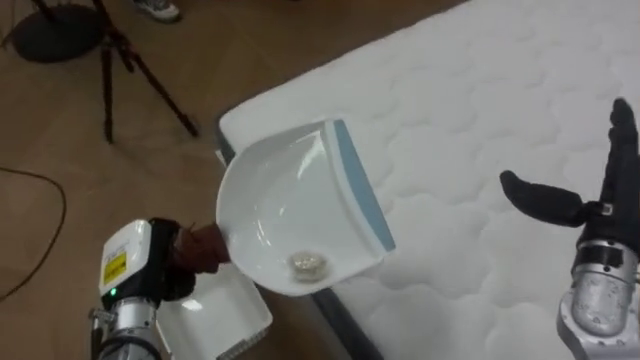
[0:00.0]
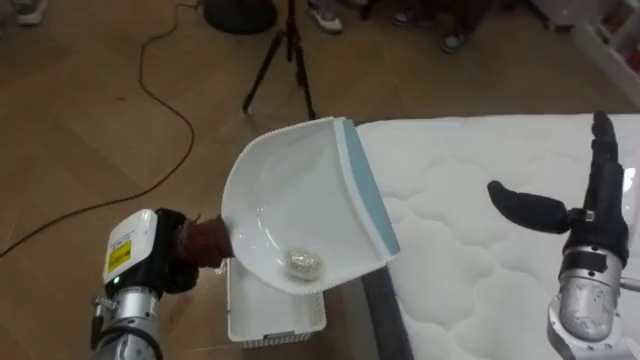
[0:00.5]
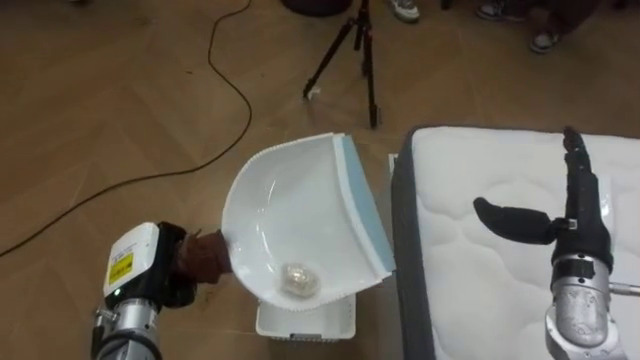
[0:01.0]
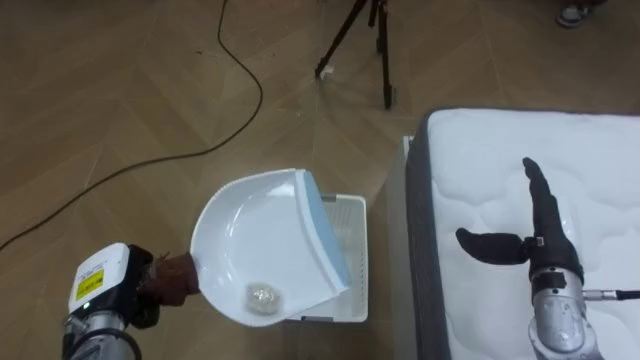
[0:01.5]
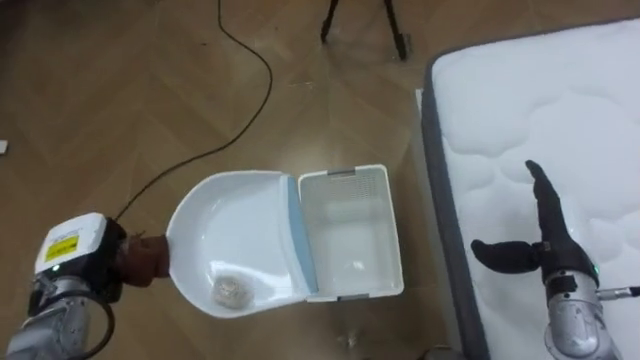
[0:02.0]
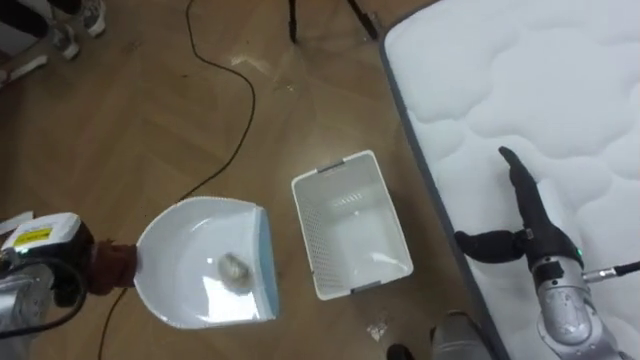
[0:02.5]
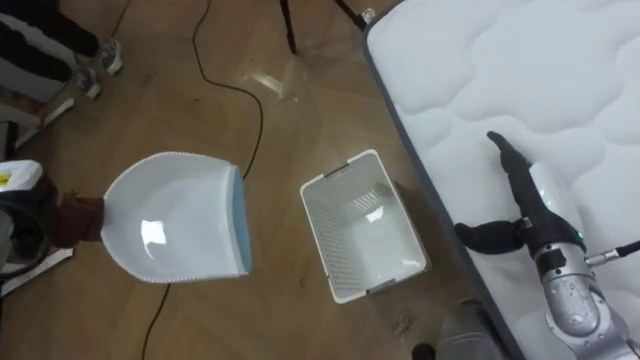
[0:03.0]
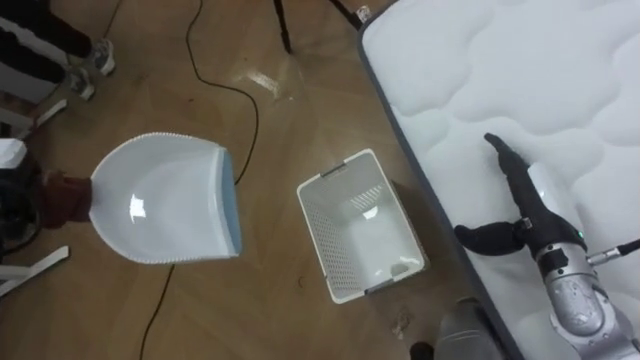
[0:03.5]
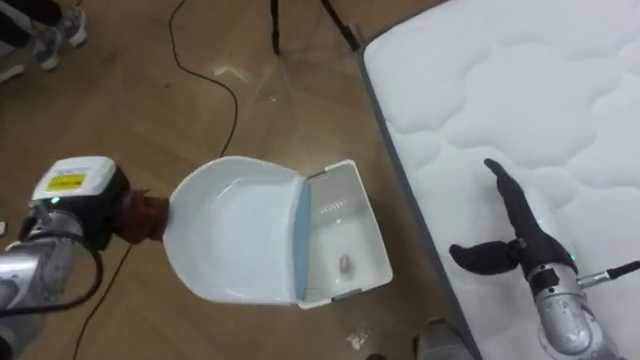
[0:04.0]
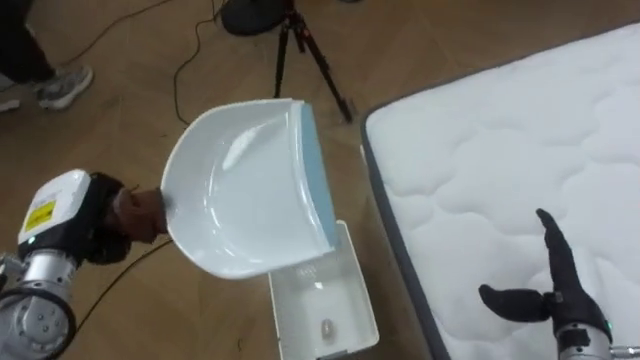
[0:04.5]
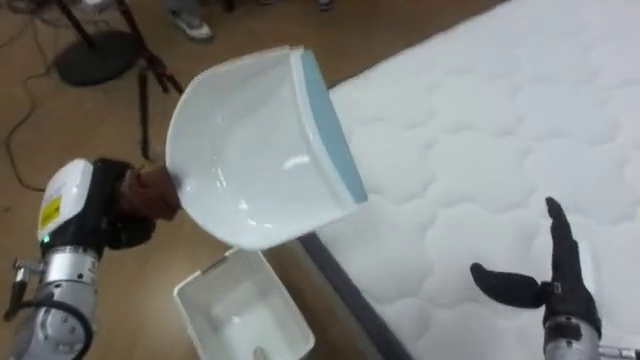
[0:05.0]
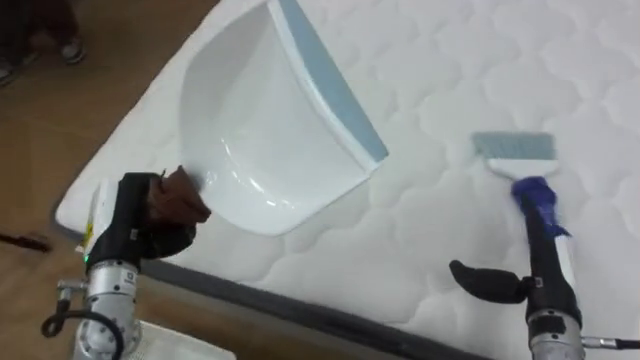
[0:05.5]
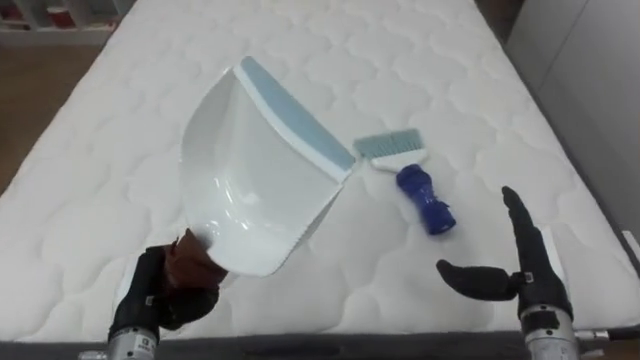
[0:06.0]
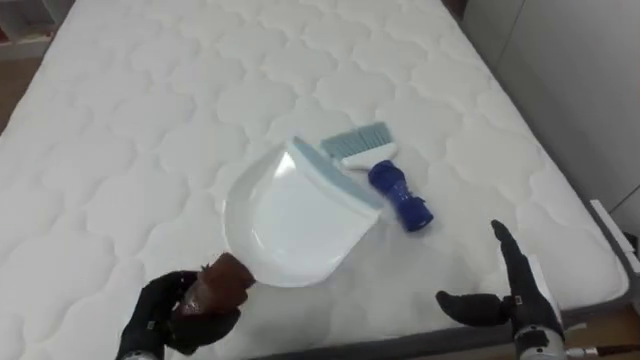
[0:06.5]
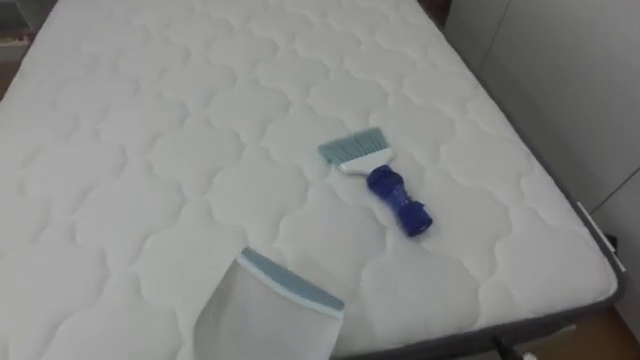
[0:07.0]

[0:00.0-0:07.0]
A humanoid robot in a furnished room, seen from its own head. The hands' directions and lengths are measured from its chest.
Task of the whole recording: Pick up the brush on your right and the dustpan on your left. Use the brush to sweep the crumpled paper on the bed into the dustpan, then turn left and empty it into the basket.
0:00.0 to 0:02.0: The robot faces approximately 40 degrees further to its left. The left hand shifts roughly 10 cm to the left. Meanwhile the right hand travels downward by roughly 10 cm.
0:03.5 to 0:05.0: The robot rotates approximately 35 degrees to its right. The right hand is displaced backward by approximately 10 cm.
0:05.0 to 0:07.0: The robot's body swings some 70 degrees to its right.

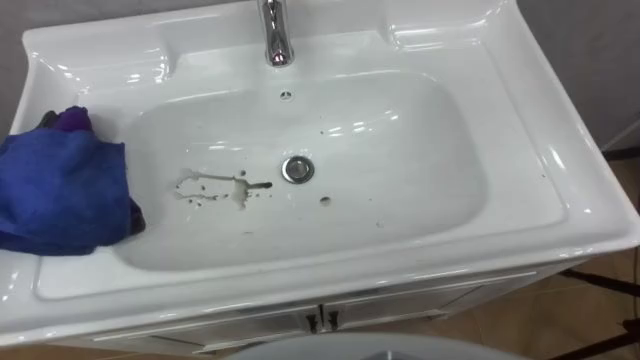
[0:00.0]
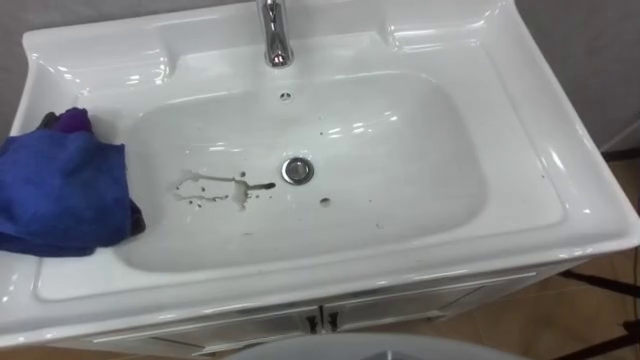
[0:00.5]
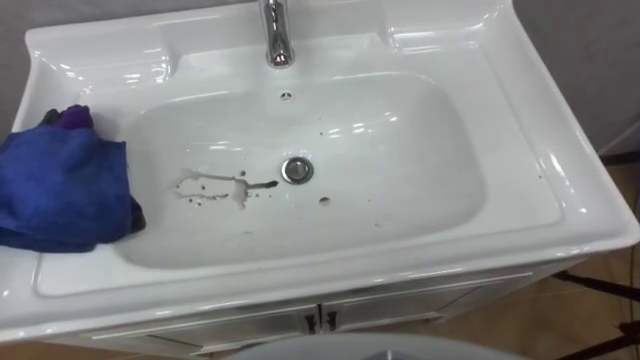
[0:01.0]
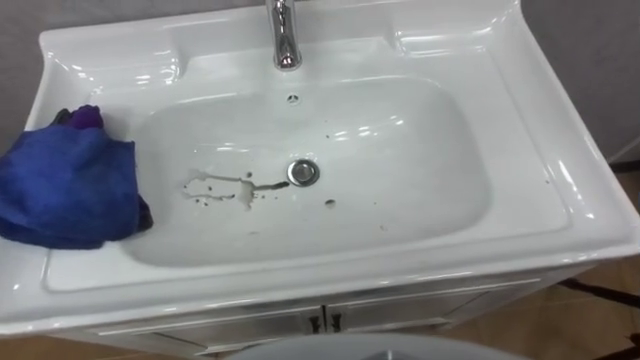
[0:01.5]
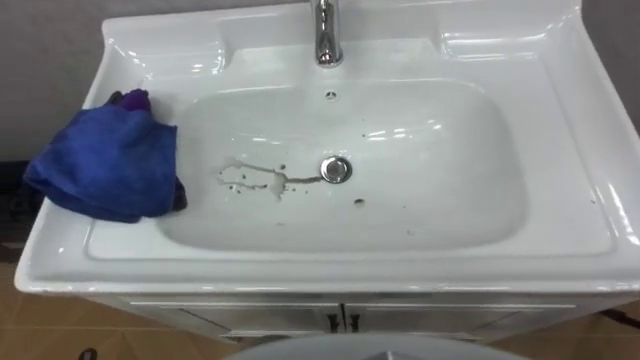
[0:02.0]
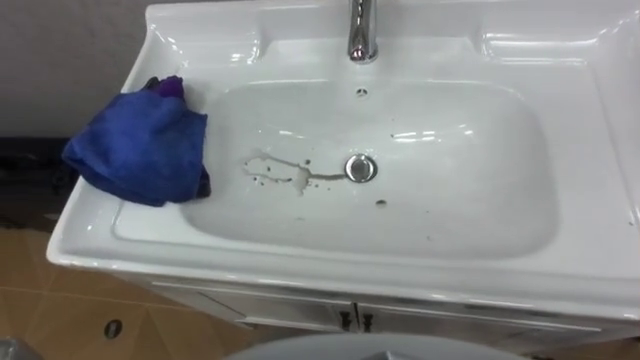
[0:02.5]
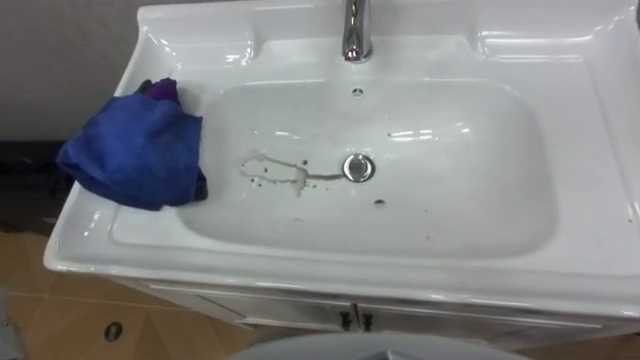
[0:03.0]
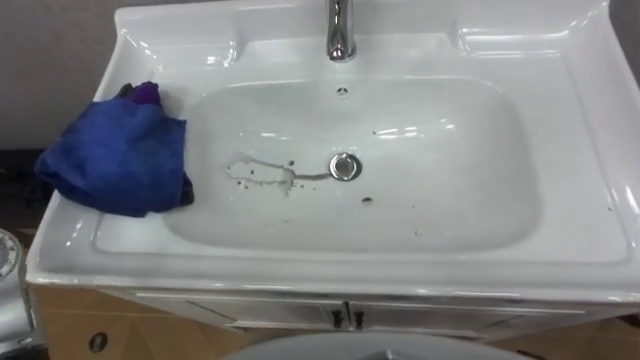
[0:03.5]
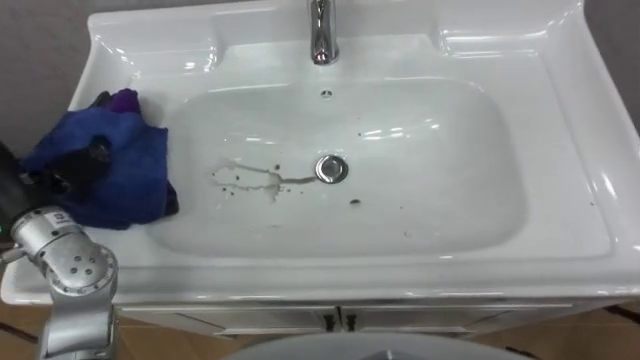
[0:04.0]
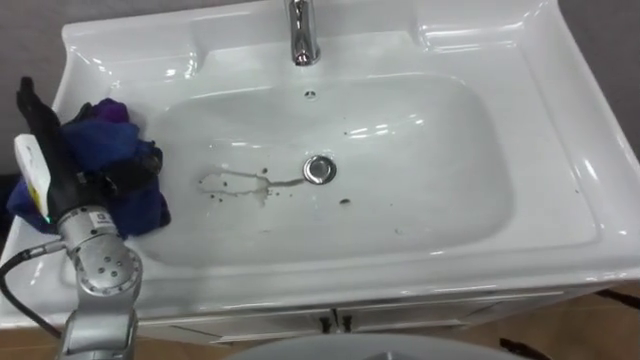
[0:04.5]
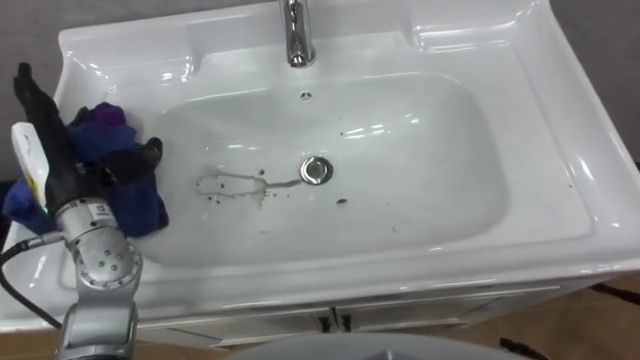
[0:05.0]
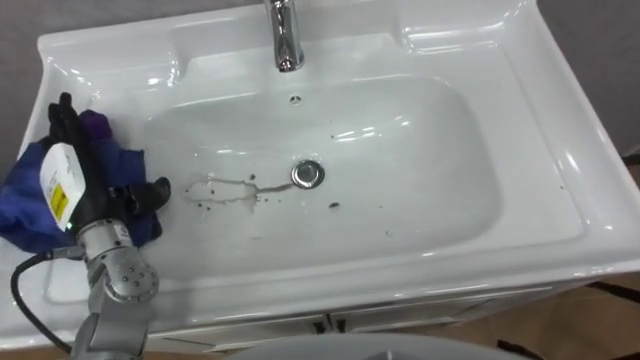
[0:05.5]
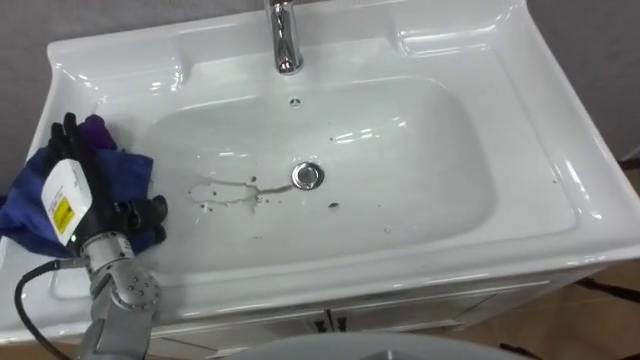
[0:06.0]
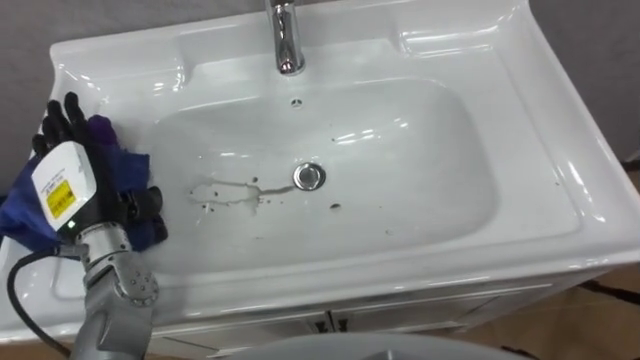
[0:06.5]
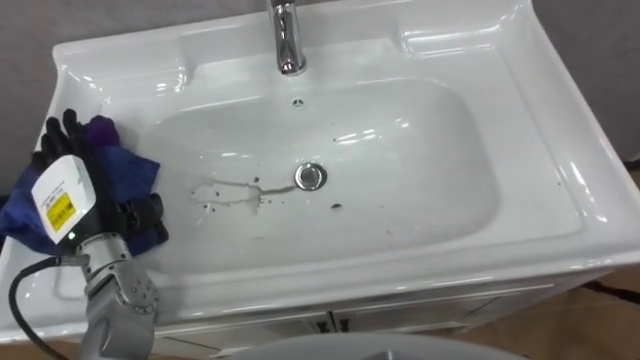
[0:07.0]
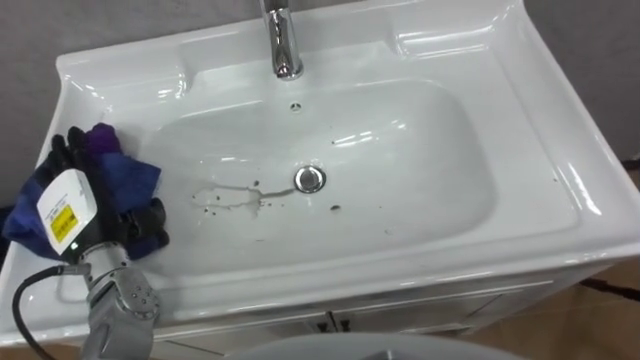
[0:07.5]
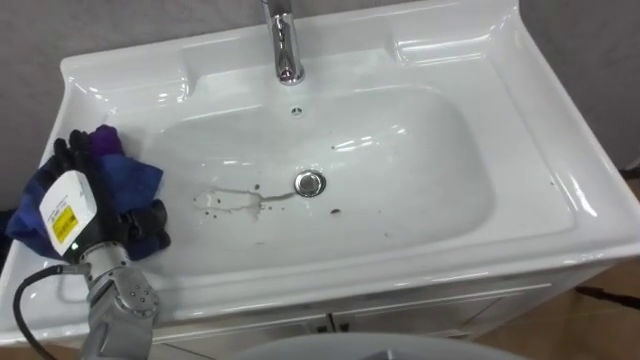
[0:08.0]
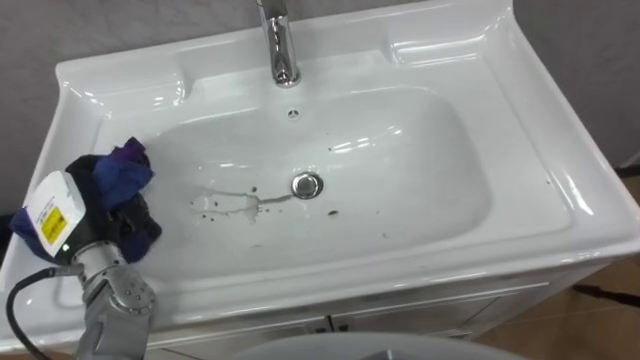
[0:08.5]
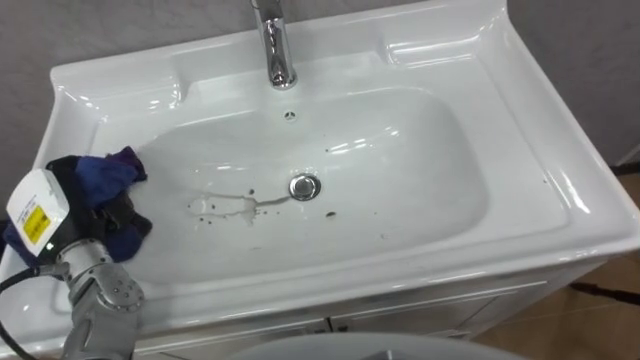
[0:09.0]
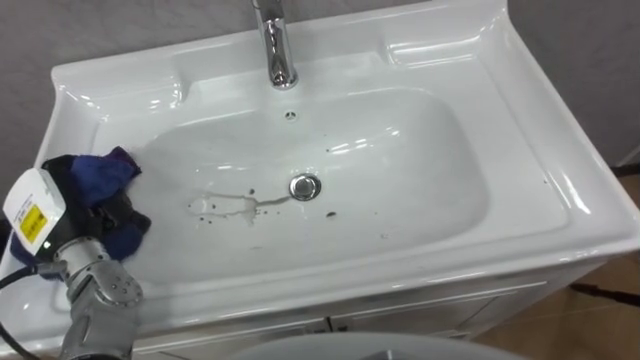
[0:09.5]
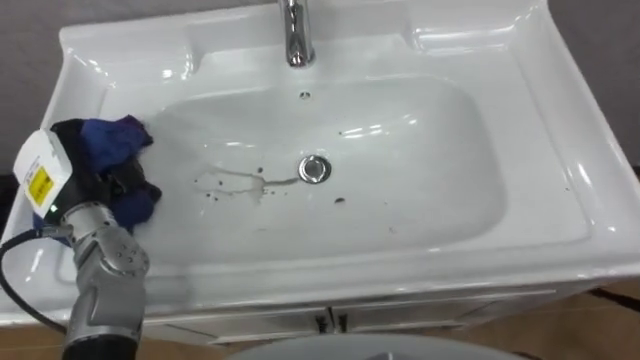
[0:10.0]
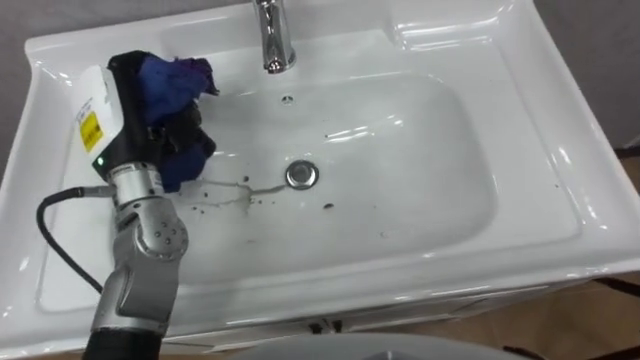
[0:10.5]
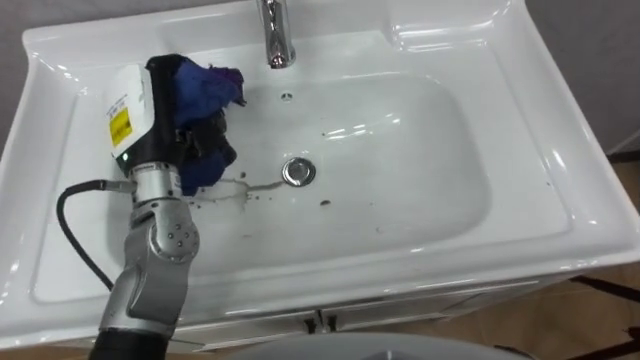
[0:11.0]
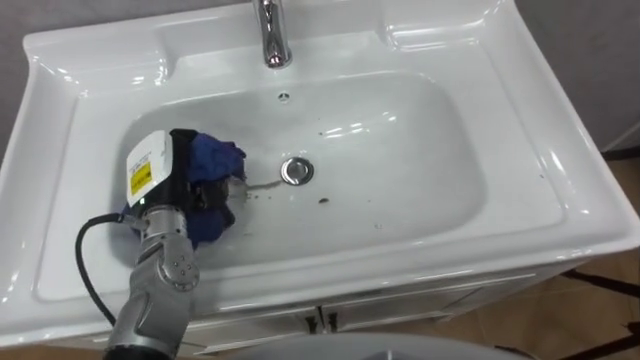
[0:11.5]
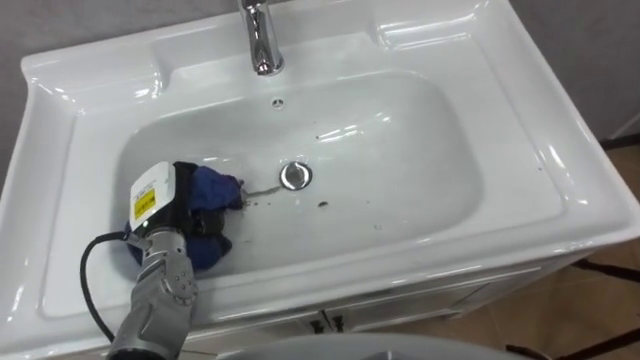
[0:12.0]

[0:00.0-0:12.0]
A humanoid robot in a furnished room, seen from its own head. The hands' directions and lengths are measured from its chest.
Task of the whole recording: Use the cloth on the right to wipe away the black stain in the sink.
0:08.0 to 0:10.0: The left hand changes place by roughly 5 cm, and closes up.
0:10.0 to 0:12.0: The left hand shifts roughly 10 cm to the right and downward.

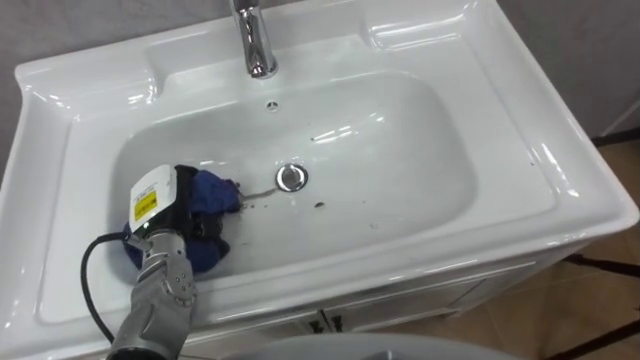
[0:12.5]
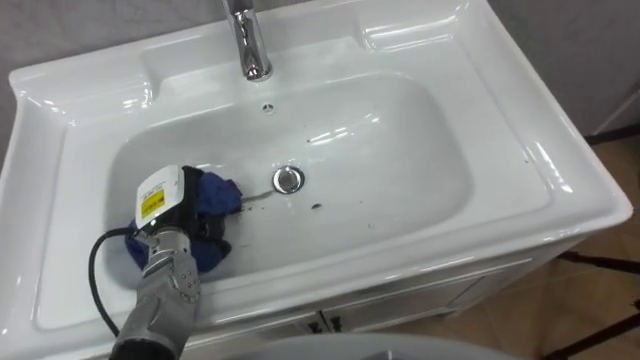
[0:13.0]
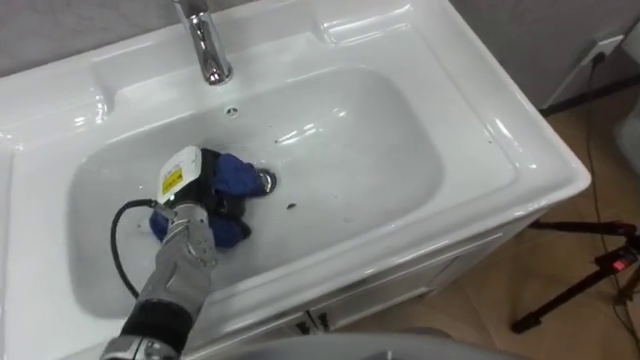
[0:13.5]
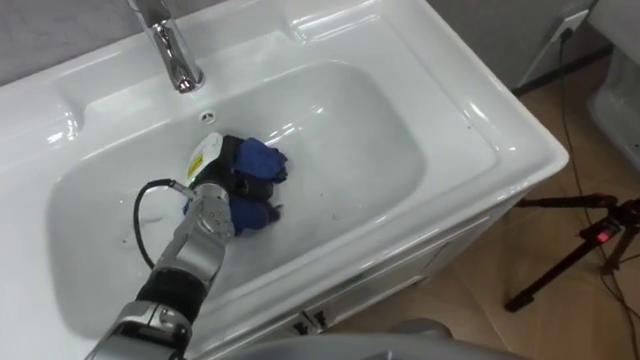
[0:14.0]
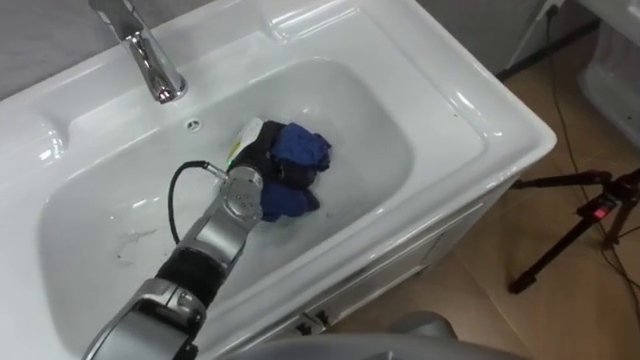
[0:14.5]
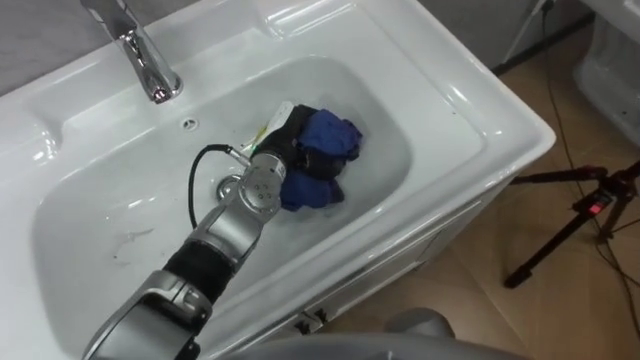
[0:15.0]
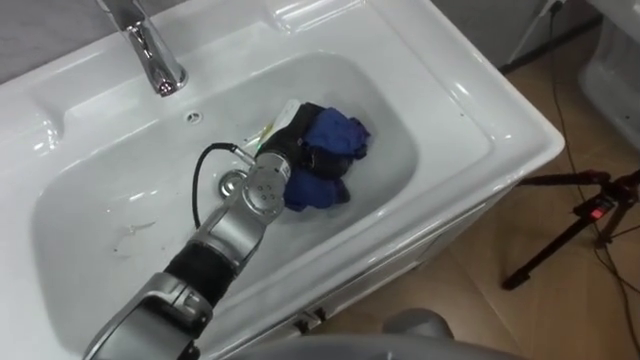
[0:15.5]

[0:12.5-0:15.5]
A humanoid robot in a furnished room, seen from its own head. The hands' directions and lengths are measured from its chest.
Task of the whole recording: Use the cloth on the right to wipe away the black stain in the sink.
0:12.5 to 0:14.0: The left hand goes about 10 cm to the right and forward.
0:14.0 to 0:15.5: The left hand goes roughly 10 cm to the right.
